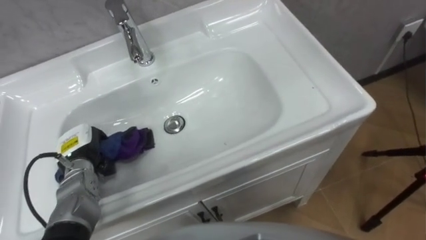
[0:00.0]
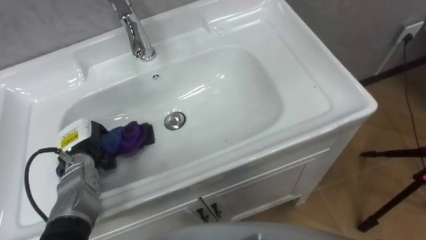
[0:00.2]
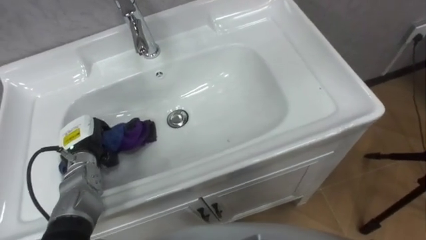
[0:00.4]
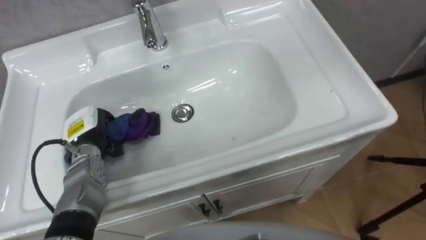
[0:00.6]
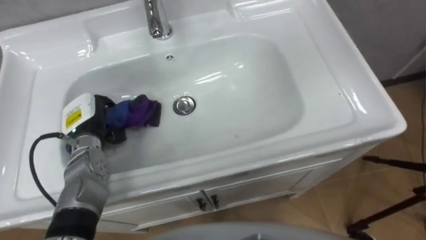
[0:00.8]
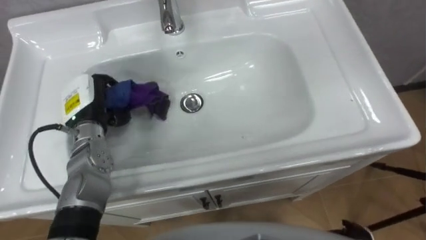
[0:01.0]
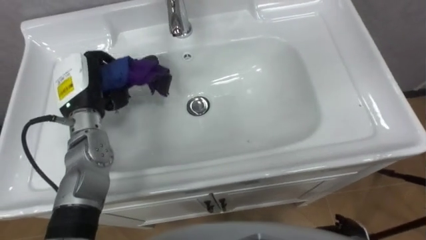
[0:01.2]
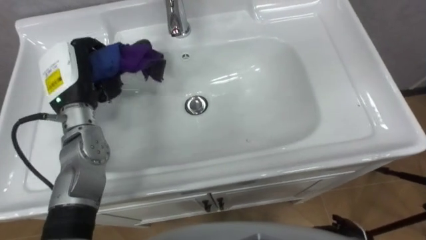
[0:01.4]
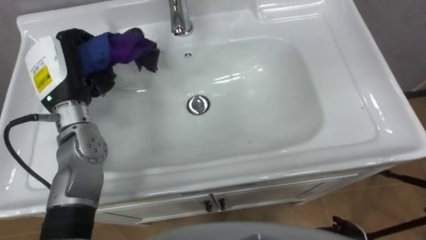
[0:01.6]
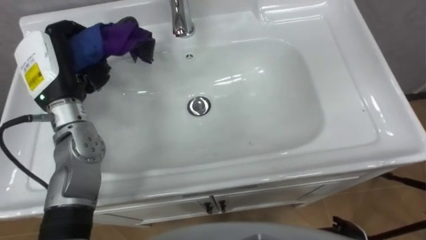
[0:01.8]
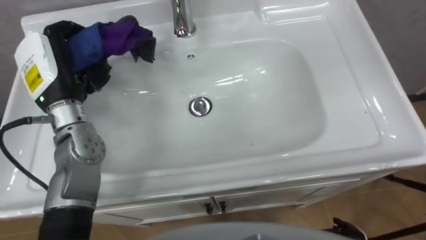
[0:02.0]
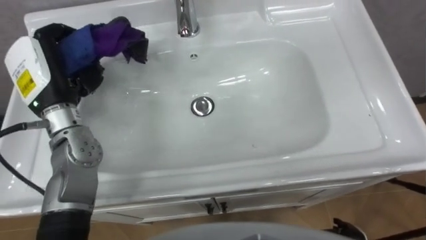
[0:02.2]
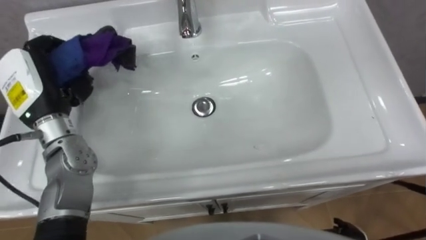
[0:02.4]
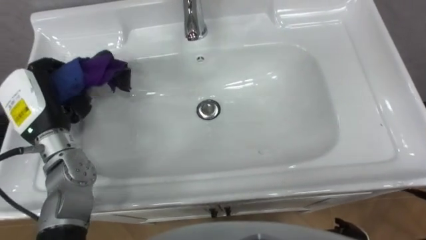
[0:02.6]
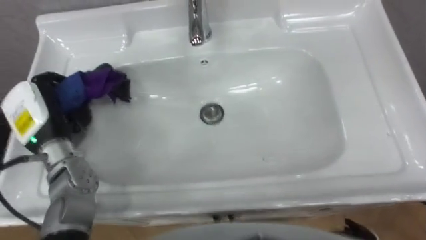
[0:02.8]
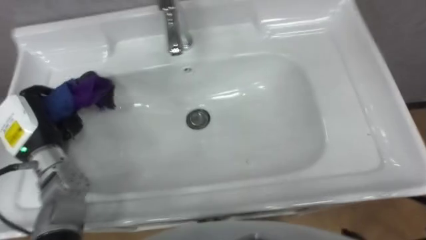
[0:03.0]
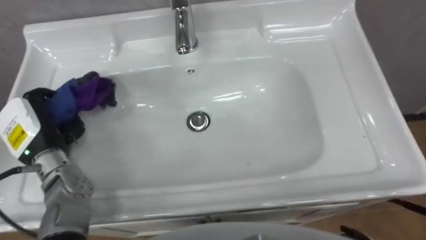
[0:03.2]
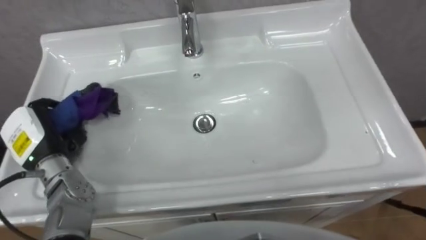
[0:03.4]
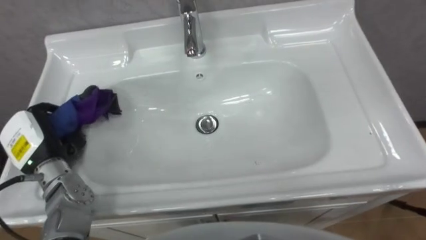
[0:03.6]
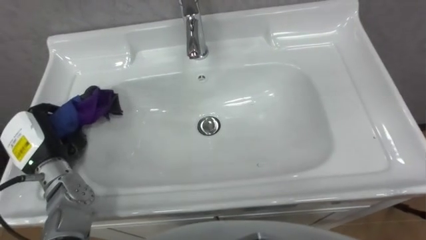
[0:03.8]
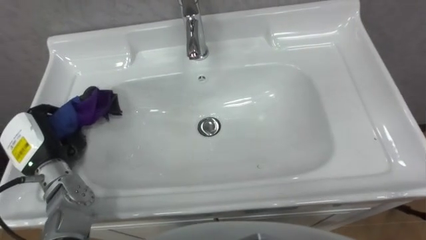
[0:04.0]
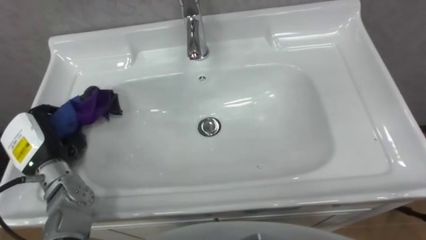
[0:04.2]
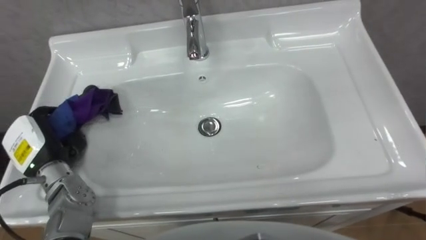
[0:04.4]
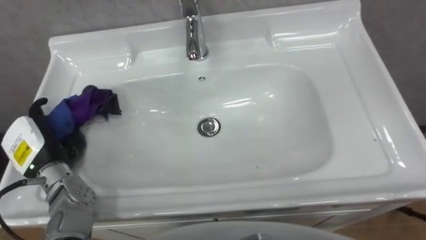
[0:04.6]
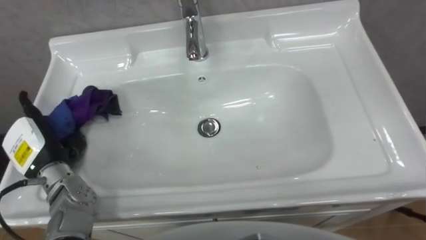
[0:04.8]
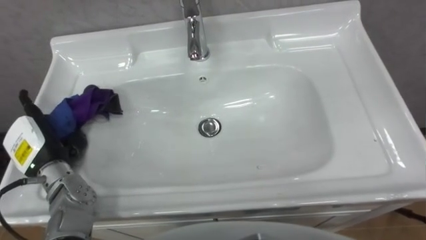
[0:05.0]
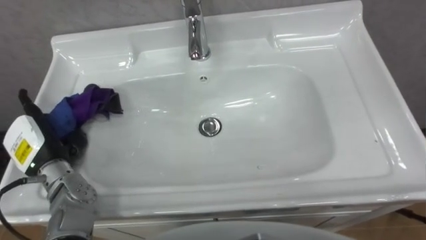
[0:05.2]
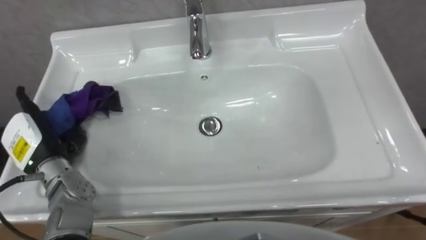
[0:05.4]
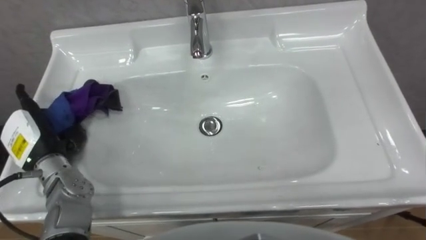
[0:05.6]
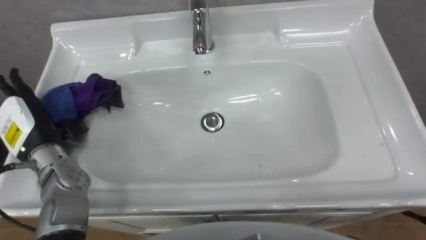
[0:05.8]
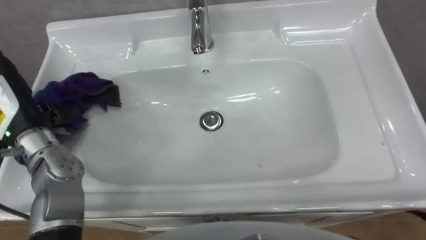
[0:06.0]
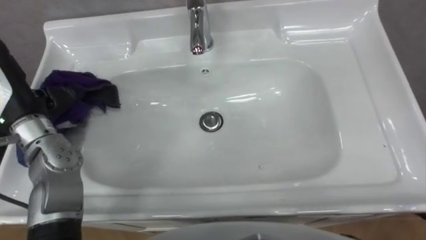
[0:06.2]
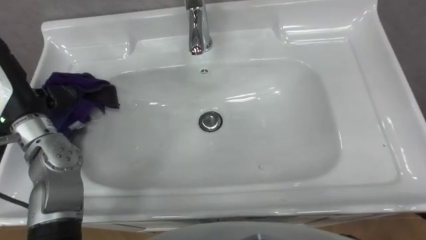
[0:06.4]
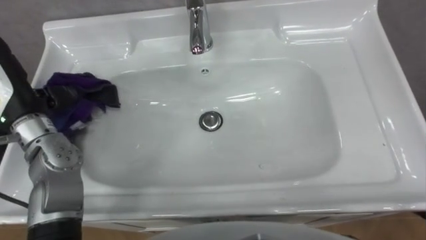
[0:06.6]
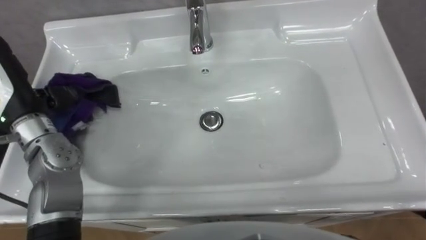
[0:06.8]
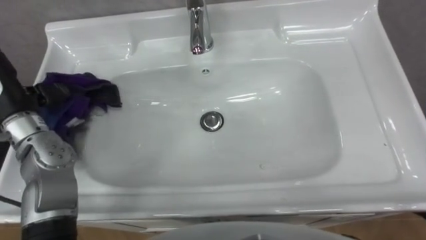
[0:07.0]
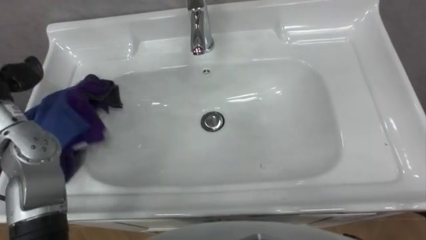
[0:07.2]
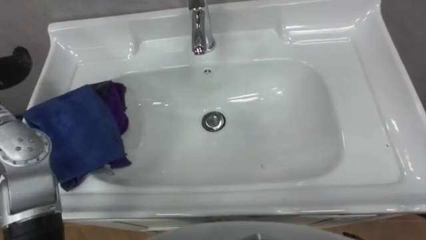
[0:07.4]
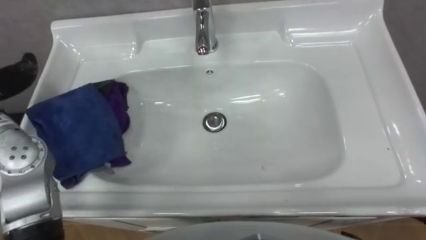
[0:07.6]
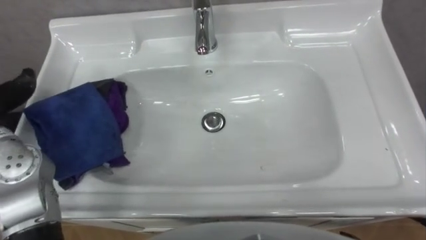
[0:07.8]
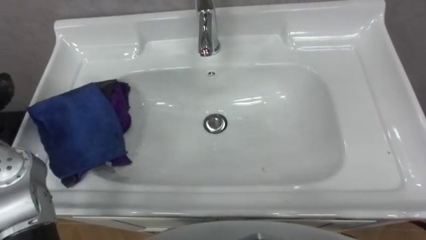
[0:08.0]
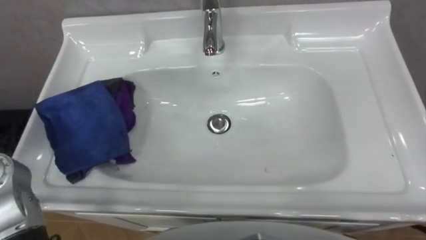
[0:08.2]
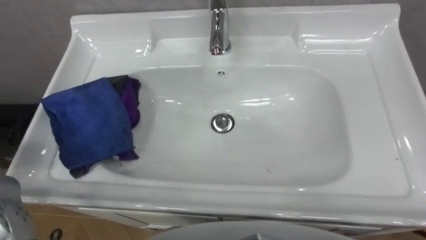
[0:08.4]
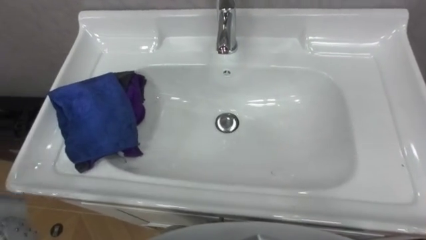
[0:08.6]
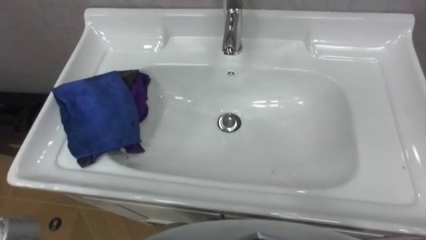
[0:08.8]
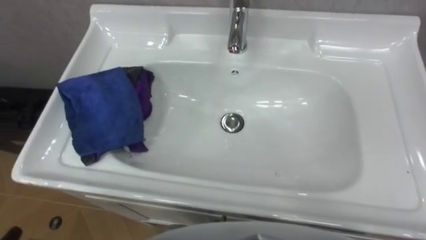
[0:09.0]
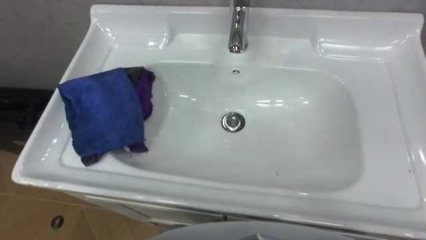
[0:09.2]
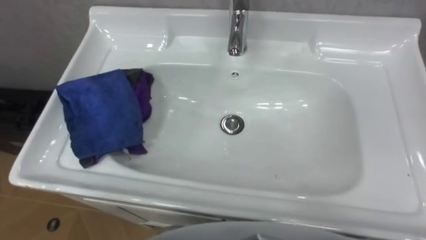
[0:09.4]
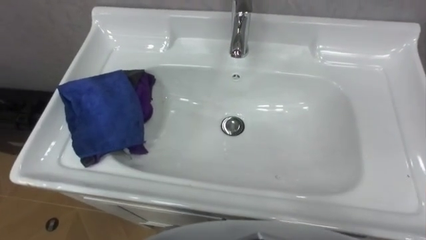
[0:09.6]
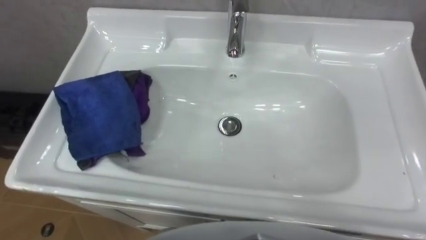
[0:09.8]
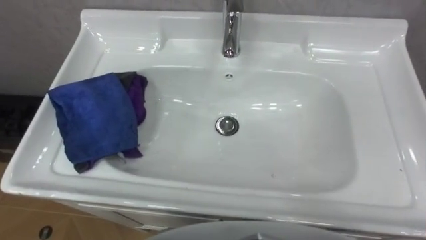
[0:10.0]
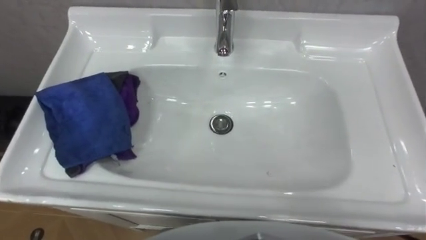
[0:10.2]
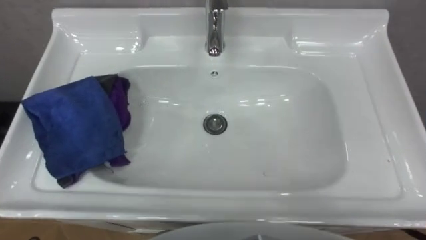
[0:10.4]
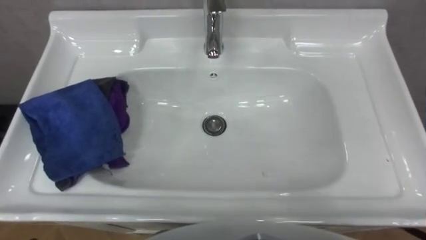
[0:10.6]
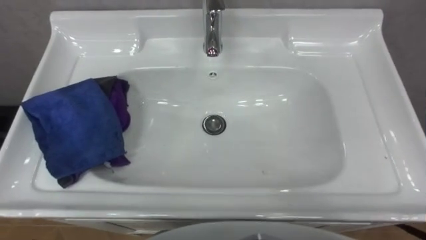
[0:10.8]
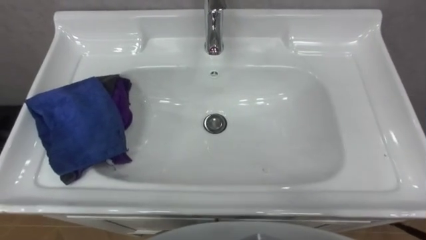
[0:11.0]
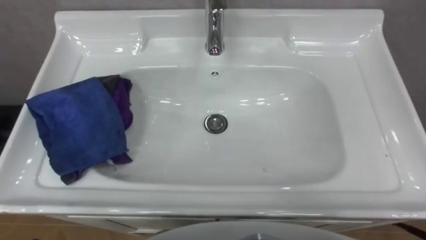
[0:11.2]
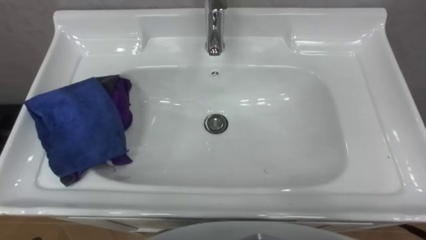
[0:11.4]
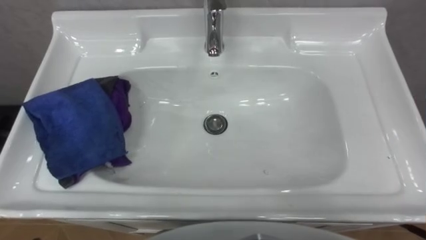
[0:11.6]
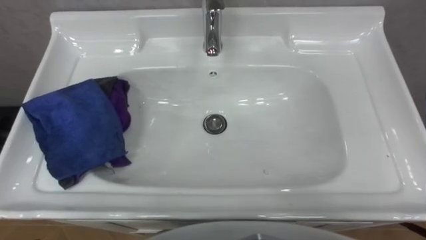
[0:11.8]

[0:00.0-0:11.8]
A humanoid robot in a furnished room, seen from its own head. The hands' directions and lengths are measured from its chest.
Task of the whole recording: Use the cloth on the right to wipe away the black stain in the sink.
0:00.0 to 0:01.4: The left hand travels upward and forward by about 20 cm.
0:01.4 to 0:03.0: The left hand heads to the left and backward, covering some 10 cm.
0:03.0 to 0:04.4: The left hand opens.
0:04.4 to 0:06.0: The left hand travels upward by approximately 10 cm, and opens.

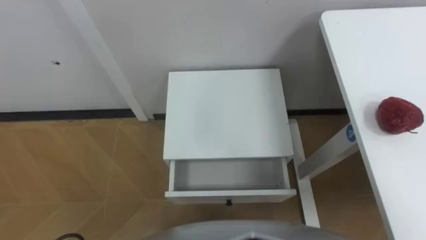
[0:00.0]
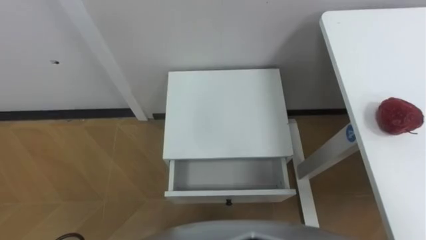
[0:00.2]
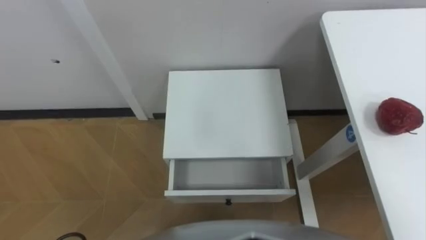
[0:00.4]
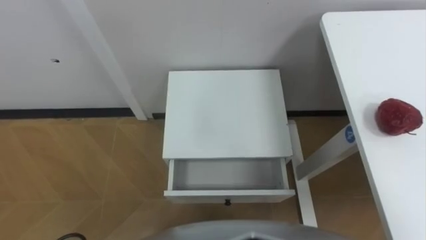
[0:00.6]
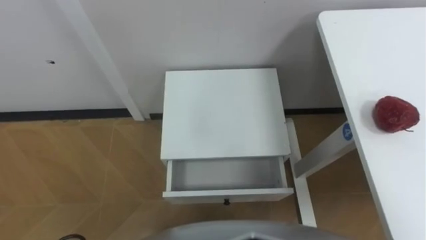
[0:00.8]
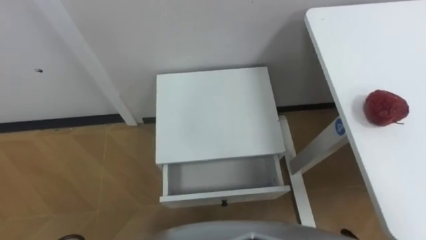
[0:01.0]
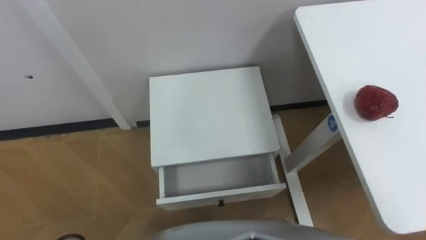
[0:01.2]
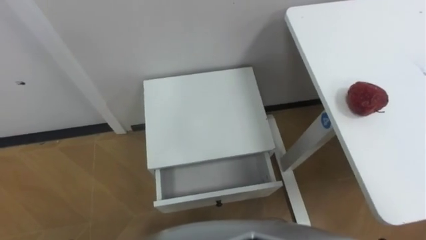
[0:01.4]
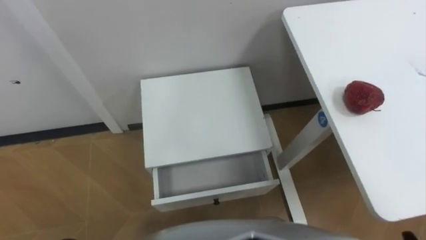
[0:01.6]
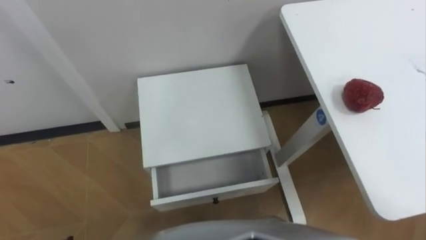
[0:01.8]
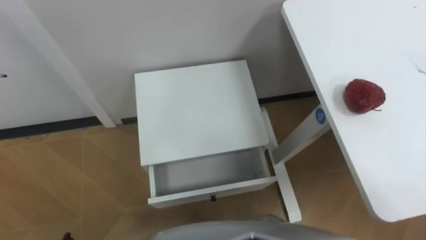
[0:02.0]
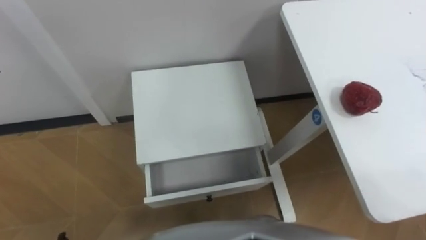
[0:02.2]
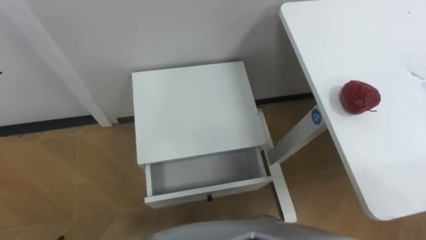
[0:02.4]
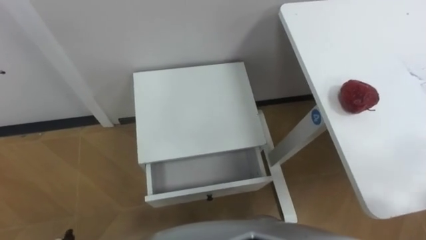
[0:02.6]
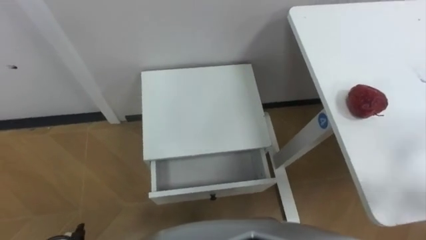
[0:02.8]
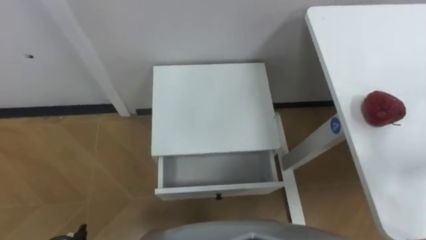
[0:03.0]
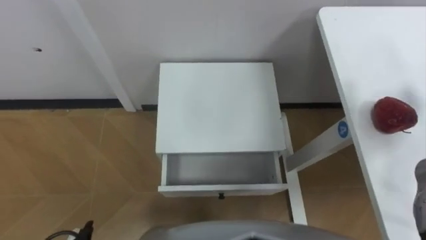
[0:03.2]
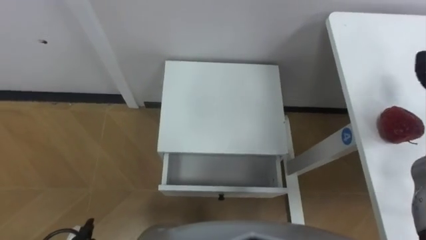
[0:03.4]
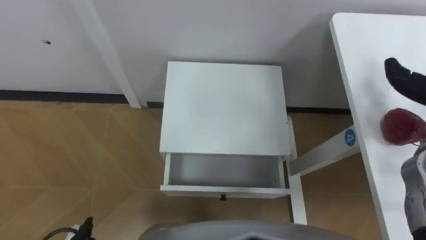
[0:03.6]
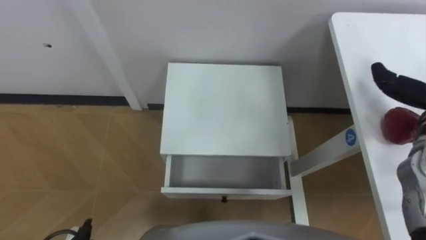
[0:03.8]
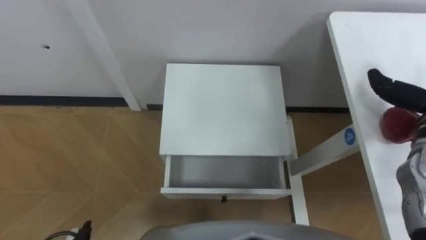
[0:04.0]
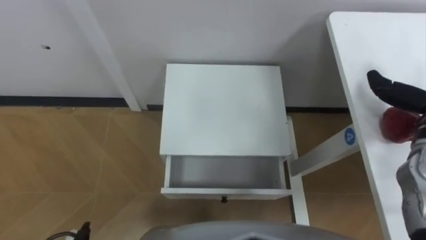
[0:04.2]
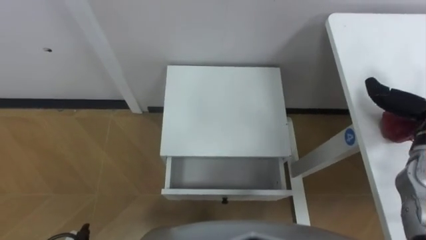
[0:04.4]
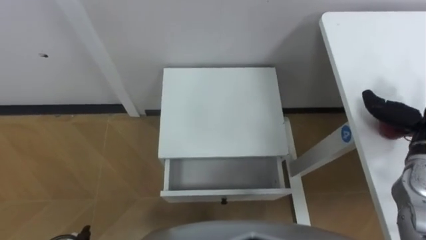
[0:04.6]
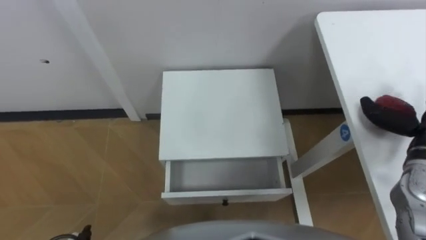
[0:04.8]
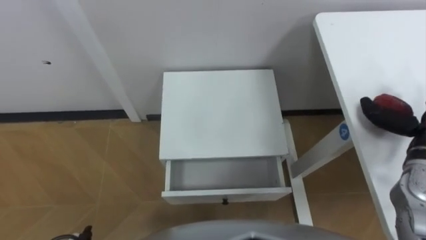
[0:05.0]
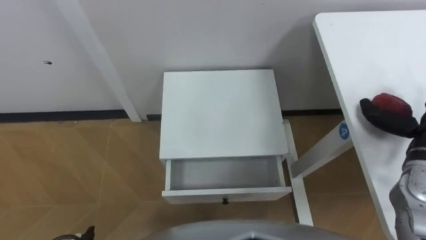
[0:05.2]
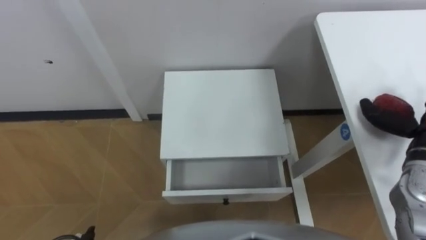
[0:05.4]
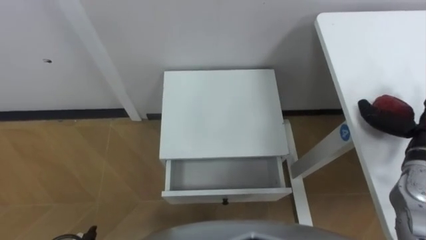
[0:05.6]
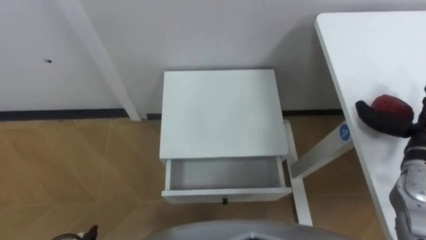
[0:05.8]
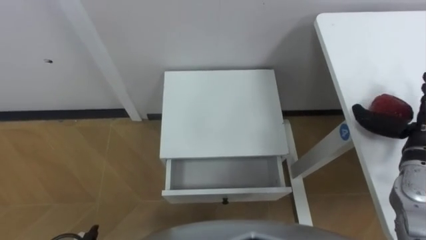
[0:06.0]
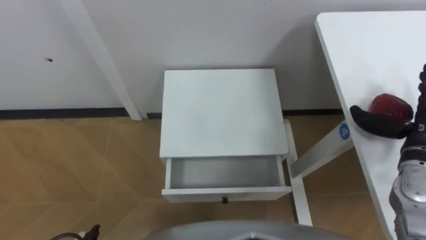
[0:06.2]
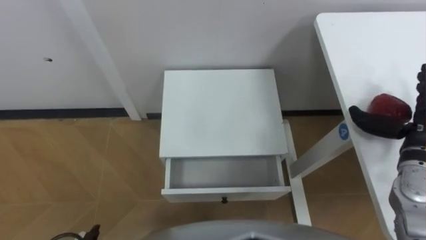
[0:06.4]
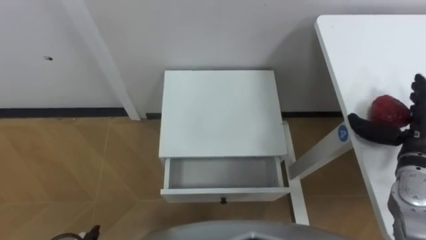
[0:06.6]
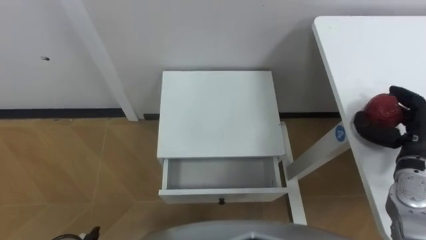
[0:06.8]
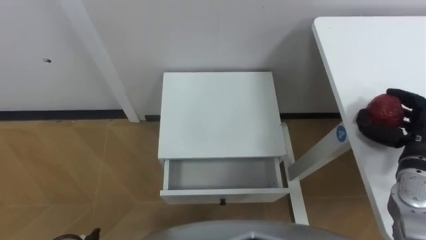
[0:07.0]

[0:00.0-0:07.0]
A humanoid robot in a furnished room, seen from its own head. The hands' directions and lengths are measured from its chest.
Task of the whole recording: Pick up the apple from the table, put it in the drawer, and close the drawer with leg.
0:05.6 to 0:07.0: The right hand closes up.
